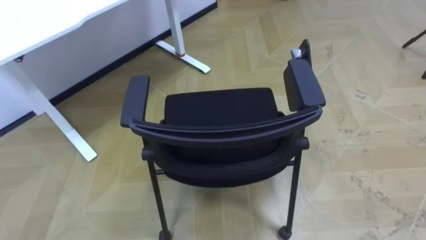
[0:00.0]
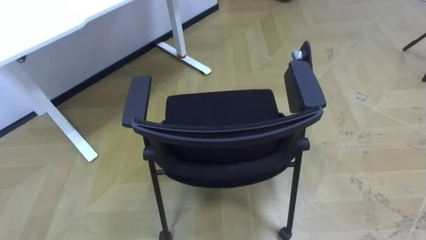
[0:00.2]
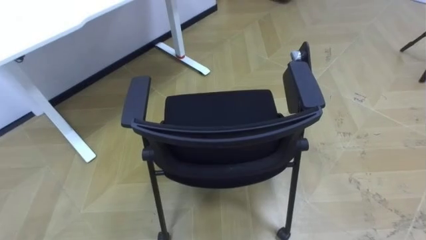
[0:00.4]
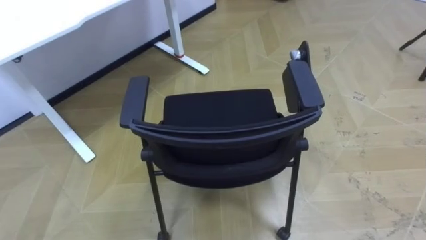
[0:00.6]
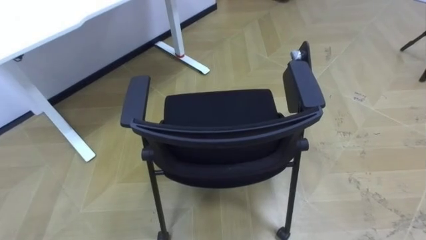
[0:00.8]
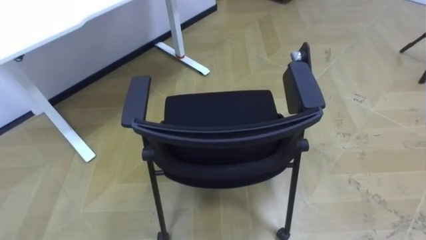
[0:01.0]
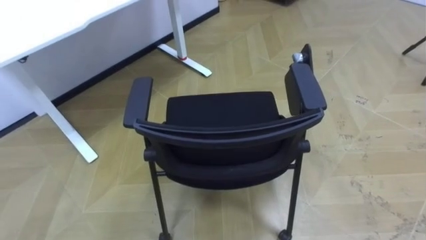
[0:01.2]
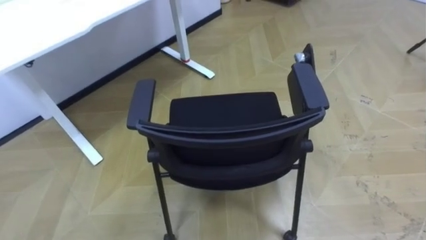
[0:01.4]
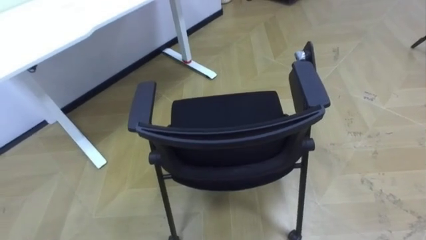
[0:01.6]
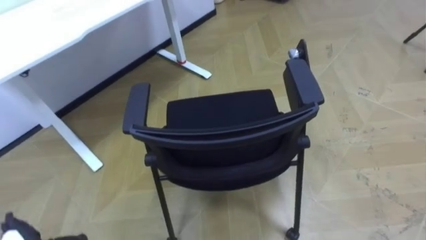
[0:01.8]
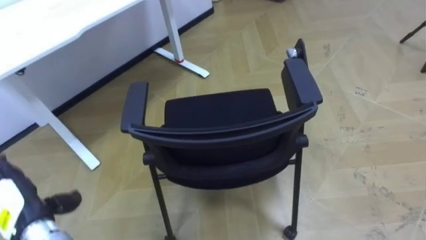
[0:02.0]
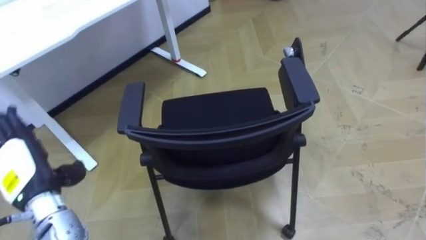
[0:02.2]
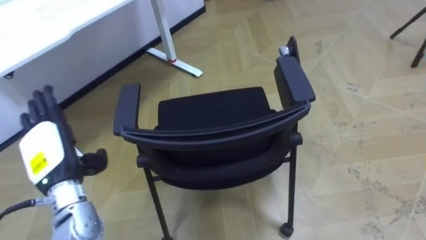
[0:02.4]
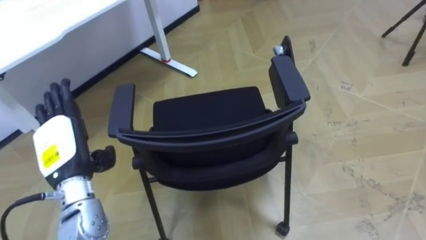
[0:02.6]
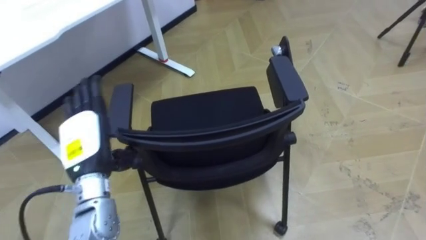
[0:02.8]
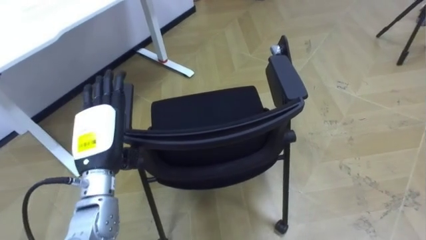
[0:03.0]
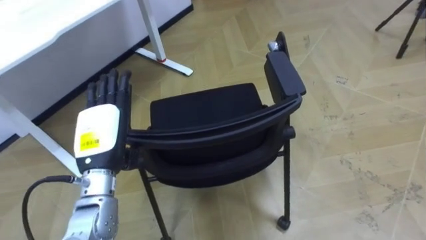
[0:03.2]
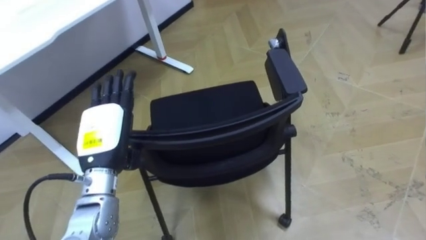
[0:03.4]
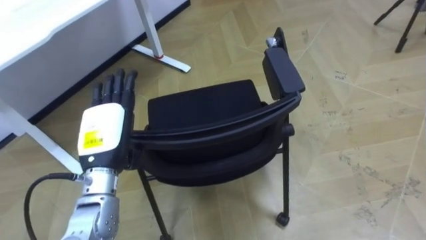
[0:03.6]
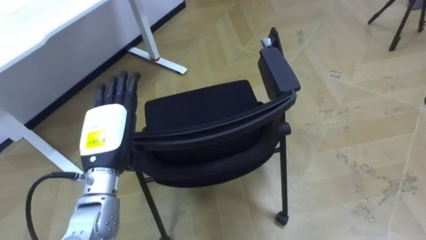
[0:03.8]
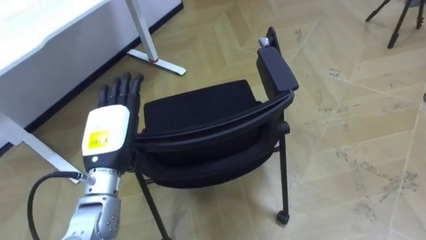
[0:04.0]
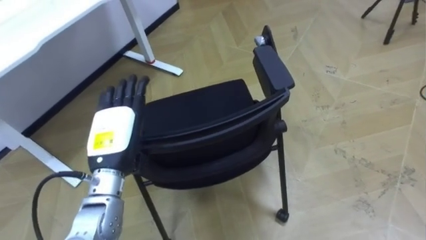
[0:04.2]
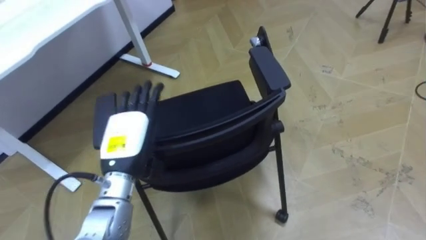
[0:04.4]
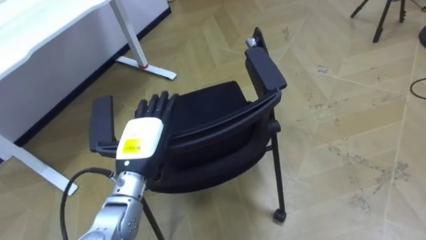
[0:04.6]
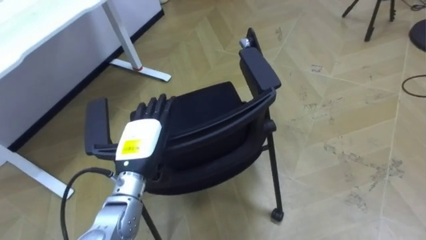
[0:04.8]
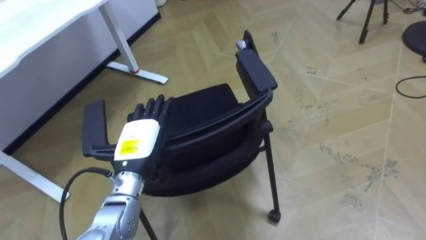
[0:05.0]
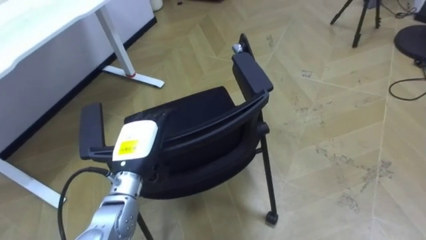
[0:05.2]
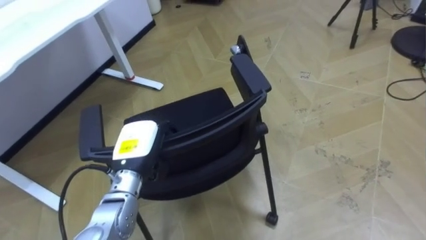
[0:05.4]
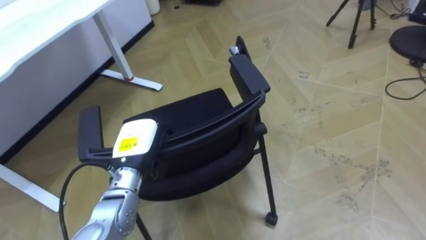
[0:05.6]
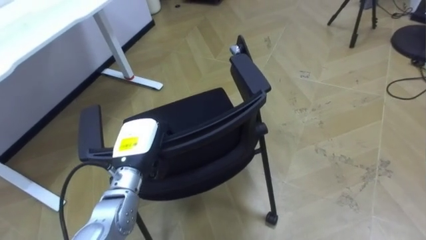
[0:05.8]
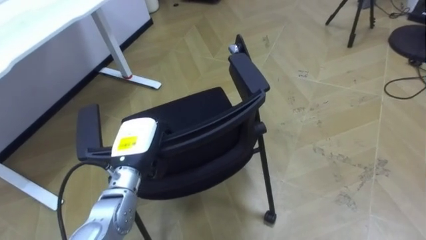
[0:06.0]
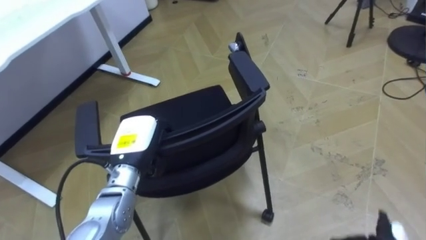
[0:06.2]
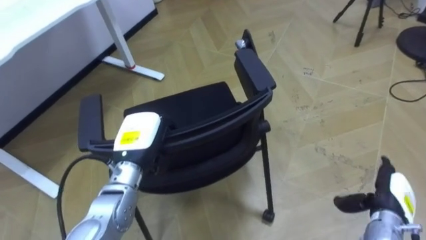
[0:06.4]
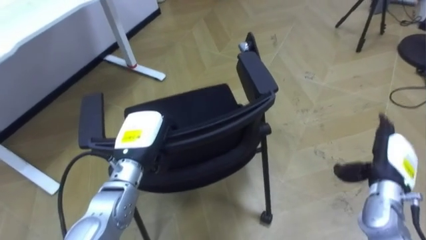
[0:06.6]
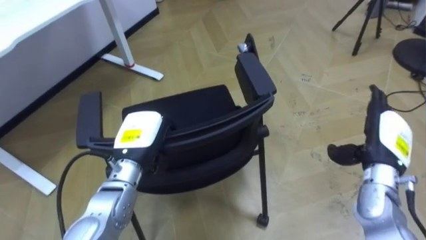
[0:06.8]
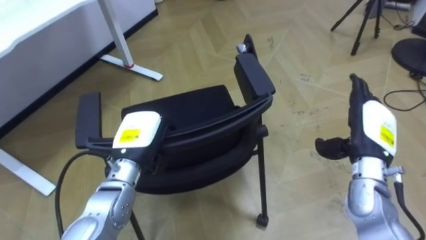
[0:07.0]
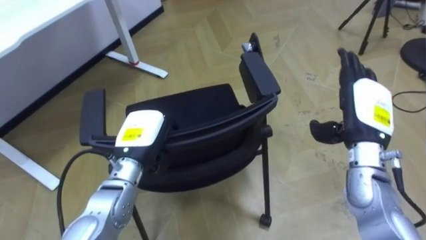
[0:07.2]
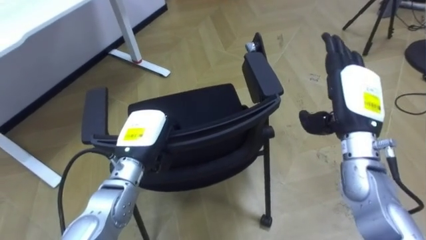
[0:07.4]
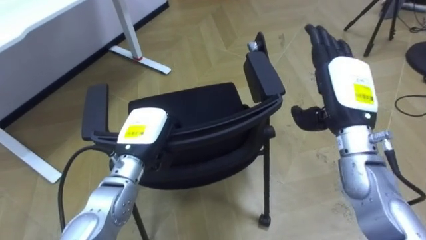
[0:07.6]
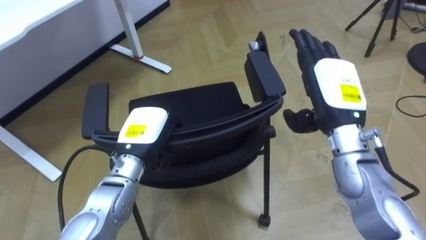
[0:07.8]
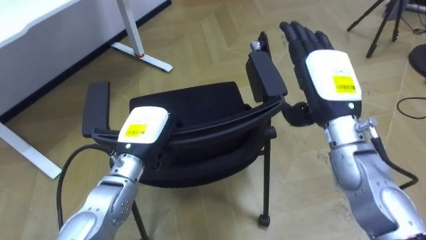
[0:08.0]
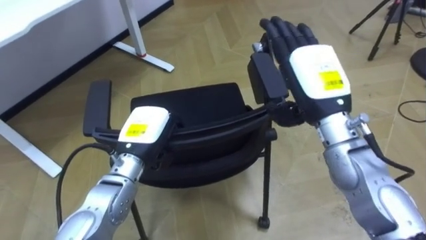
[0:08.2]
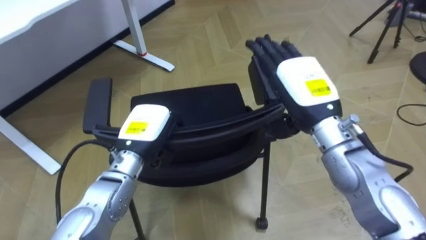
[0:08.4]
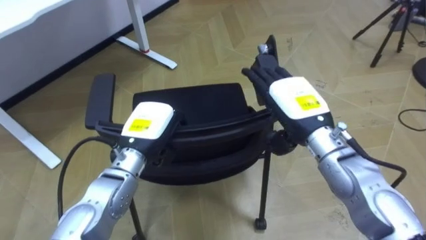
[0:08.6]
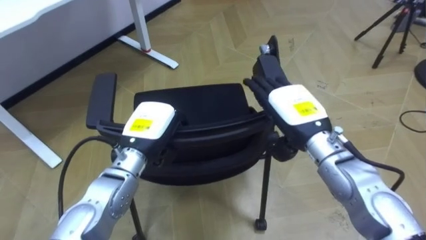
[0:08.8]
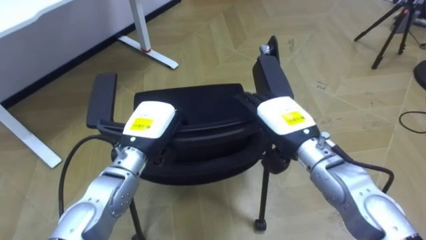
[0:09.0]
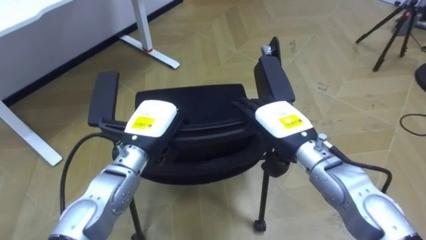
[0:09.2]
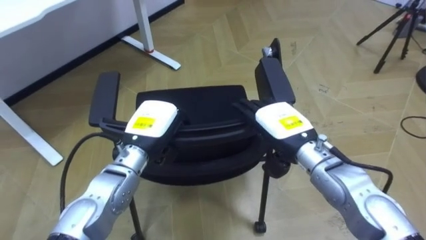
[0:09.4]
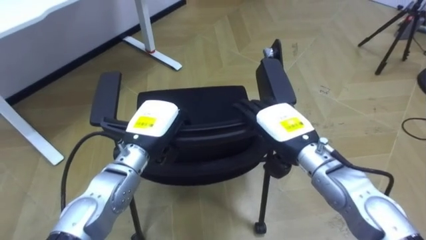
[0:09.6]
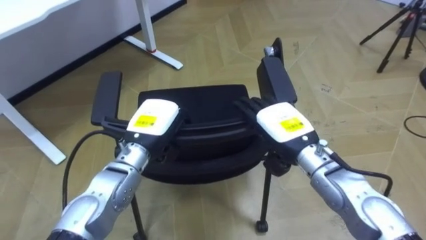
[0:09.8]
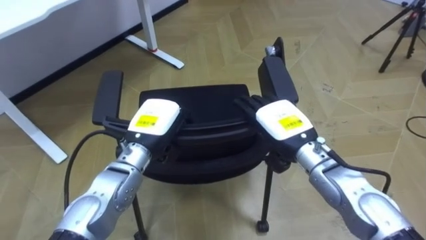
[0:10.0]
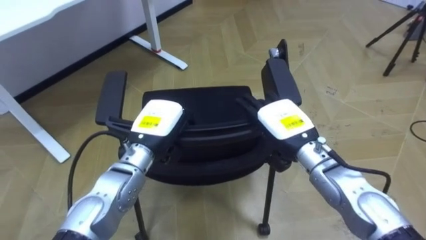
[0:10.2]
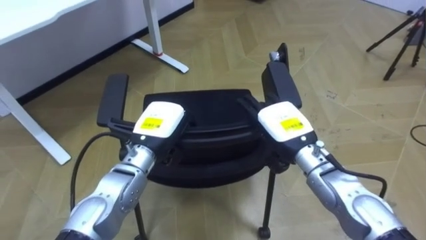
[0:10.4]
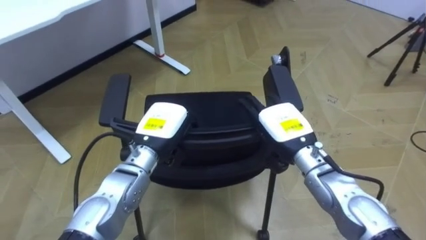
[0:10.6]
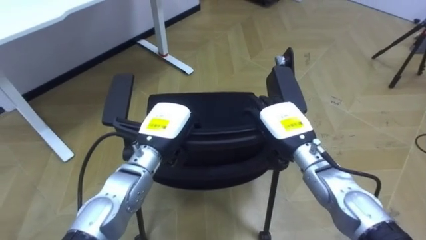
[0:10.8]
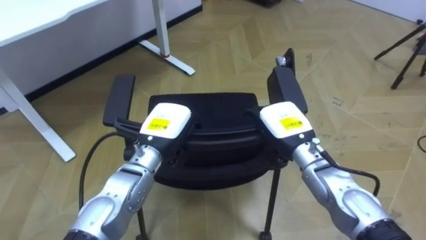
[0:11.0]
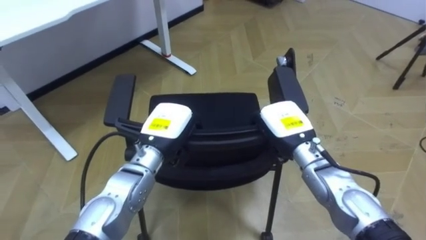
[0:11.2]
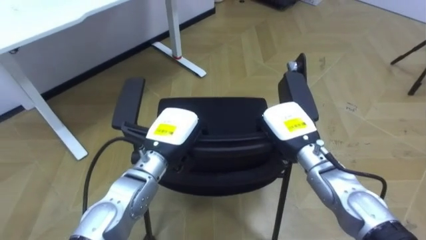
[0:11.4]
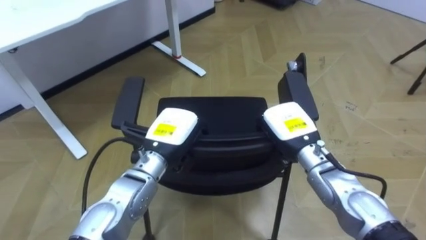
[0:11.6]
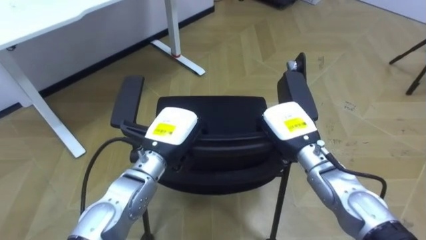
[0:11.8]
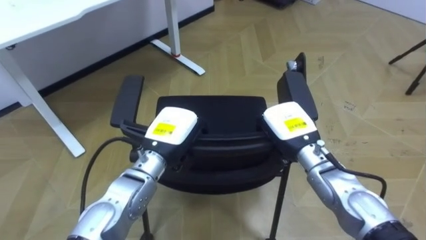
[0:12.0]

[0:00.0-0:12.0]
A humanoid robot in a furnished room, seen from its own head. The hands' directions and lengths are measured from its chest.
Task of the whole recording: Push the chair under the table.
0:04.4 to 0:06.0: The left hand closes.
0:07.6 to 0:09.0: The right hand moves to the left and downward, roughly 10 cm.
0:10.4 to 0:12.0: The right hand closes up.

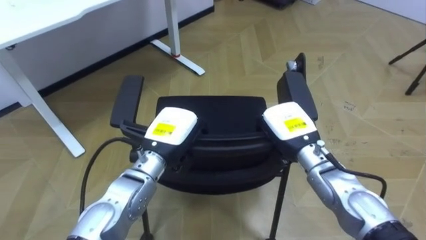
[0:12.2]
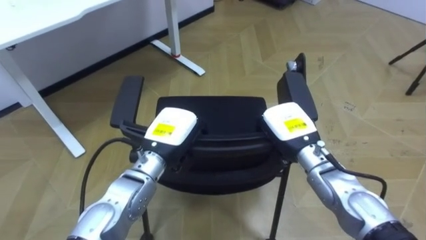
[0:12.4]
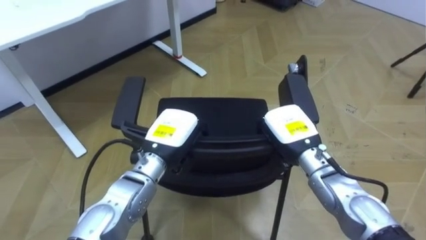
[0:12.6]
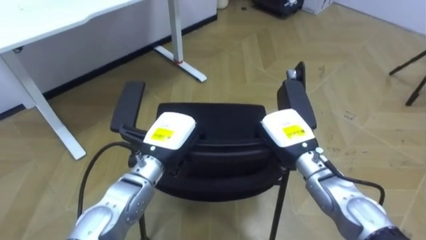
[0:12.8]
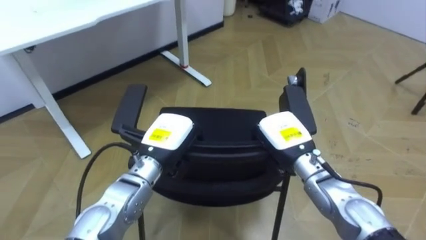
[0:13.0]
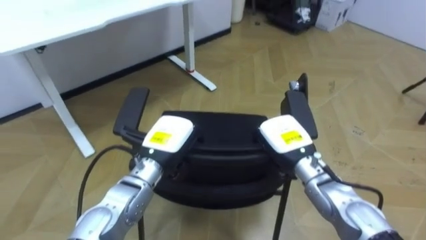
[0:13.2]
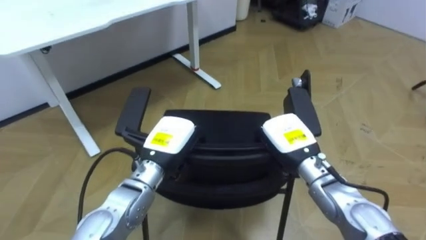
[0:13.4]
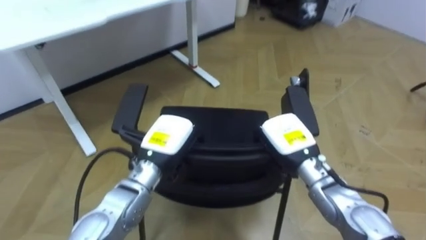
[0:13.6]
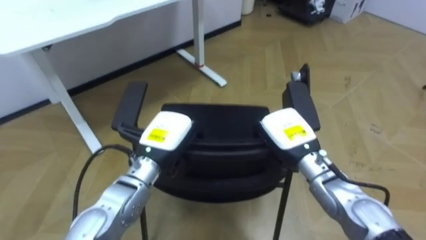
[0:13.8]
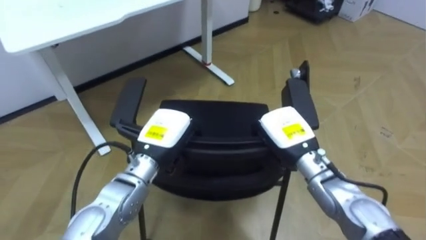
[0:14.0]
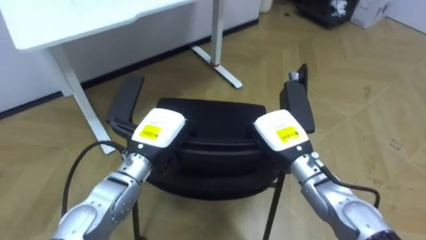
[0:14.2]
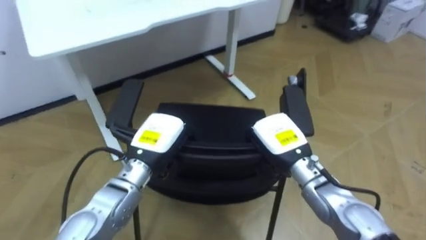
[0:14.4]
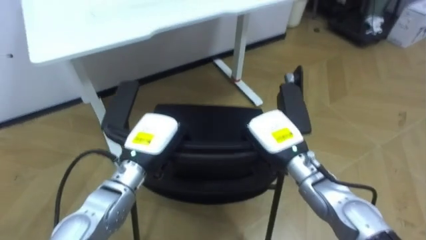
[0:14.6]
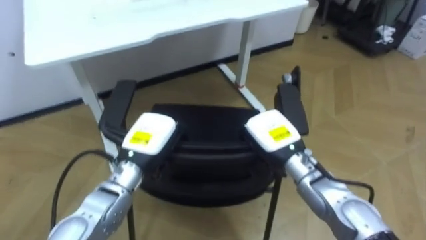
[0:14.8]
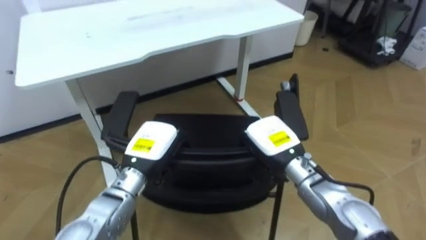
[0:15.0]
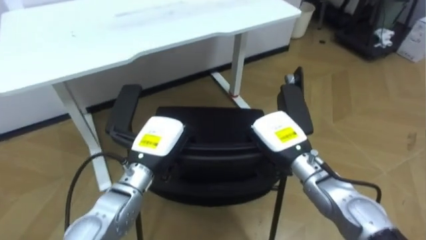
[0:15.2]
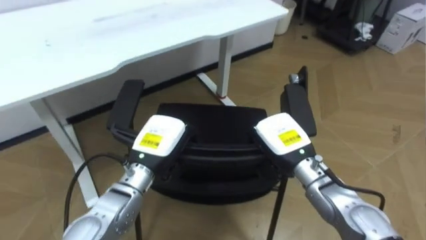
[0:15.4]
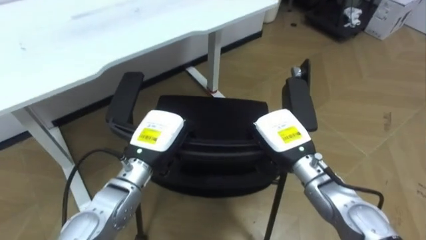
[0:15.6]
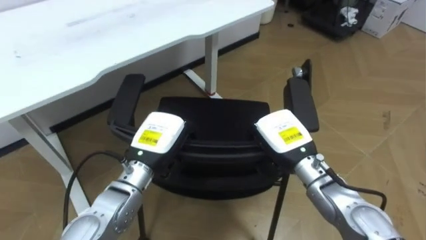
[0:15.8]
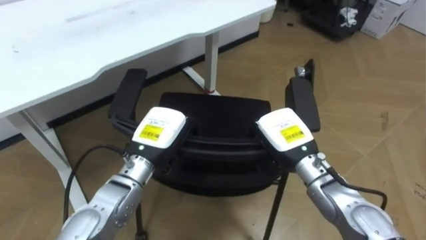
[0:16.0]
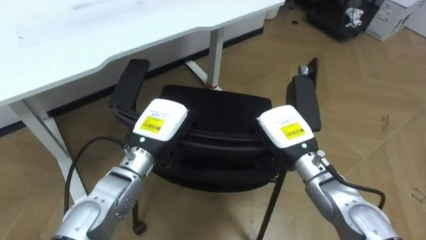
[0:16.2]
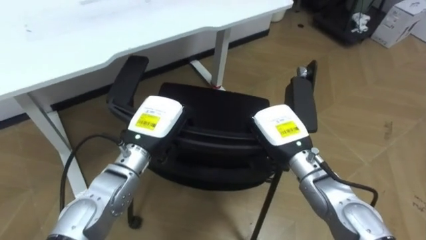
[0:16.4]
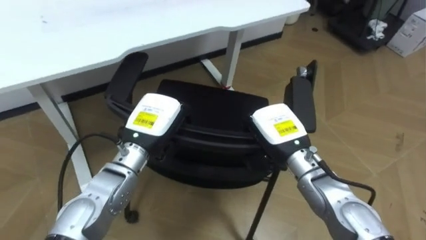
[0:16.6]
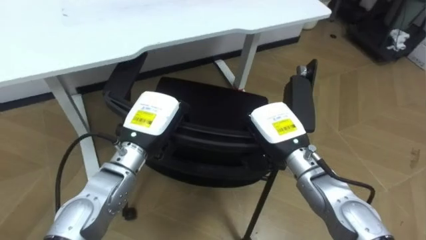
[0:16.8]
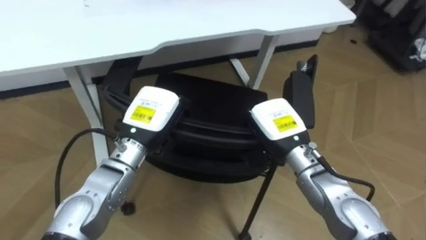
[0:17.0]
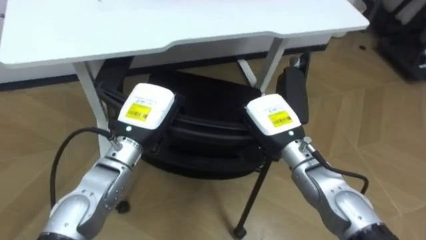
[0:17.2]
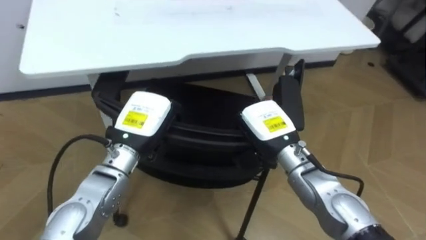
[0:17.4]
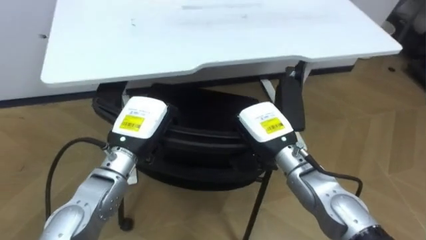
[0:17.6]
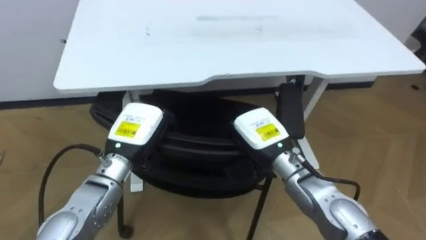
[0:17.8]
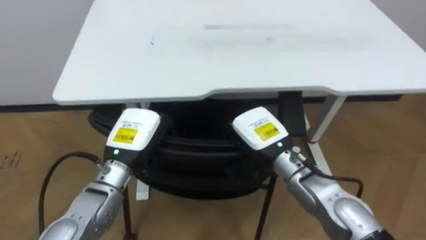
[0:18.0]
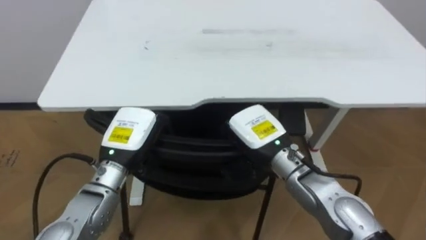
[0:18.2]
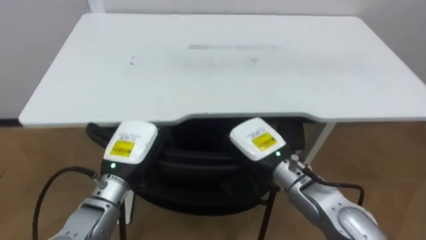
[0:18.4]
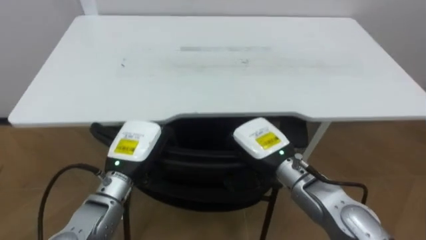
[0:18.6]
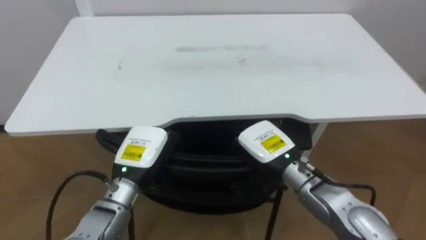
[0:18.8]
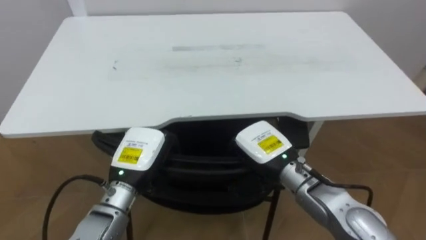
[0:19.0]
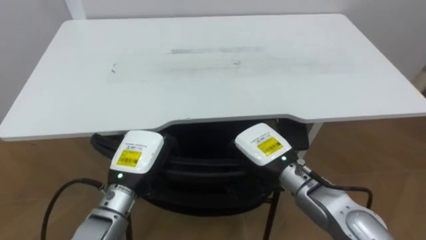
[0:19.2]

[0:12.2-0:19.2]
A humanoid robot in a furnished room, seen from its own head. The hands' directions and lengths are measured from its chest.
Task of the whole recording: Push the chair under the table.
0:16.4 to 0:17.8: The robot rotates approximately 20 degrees to its left.
